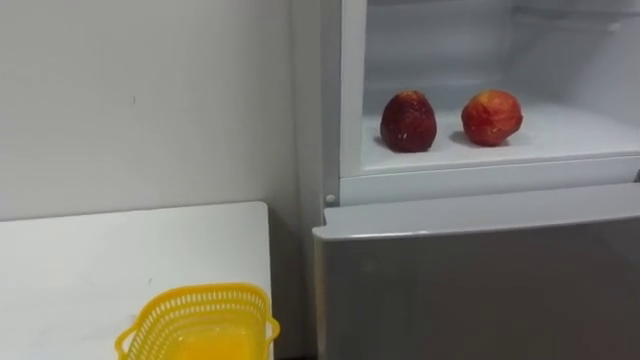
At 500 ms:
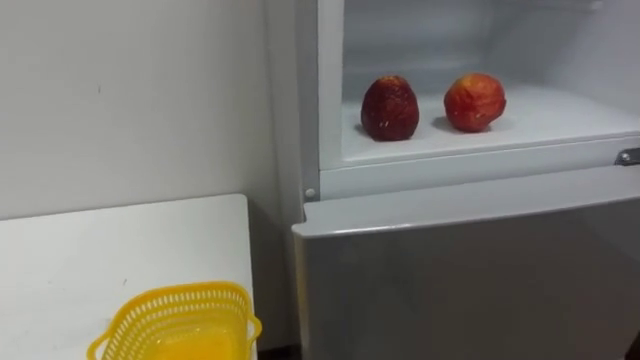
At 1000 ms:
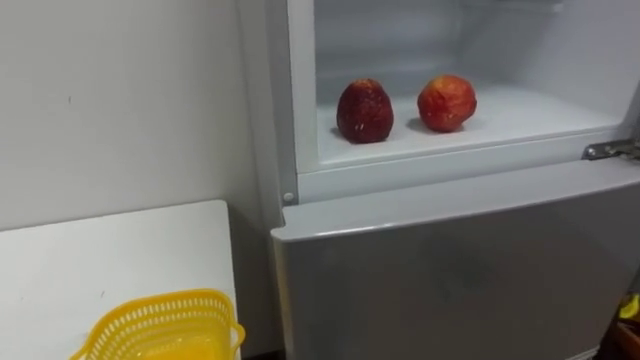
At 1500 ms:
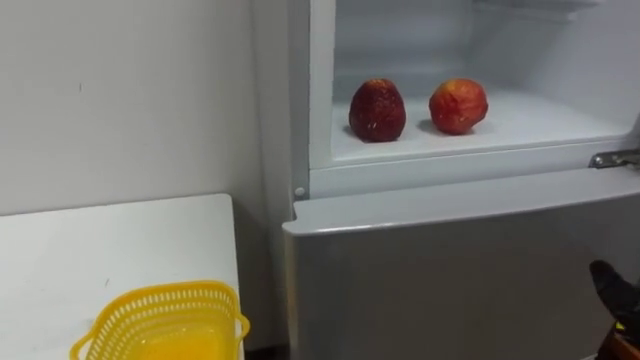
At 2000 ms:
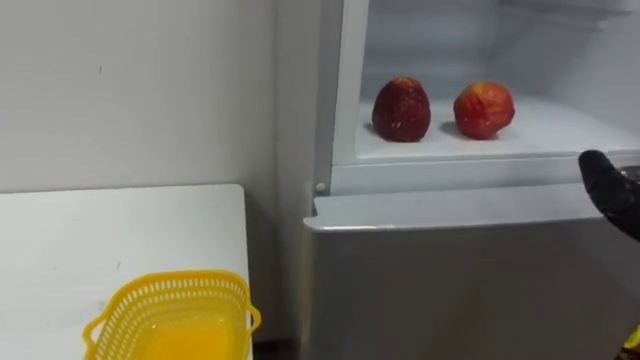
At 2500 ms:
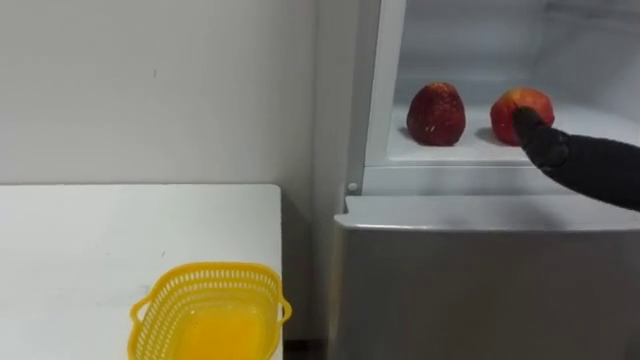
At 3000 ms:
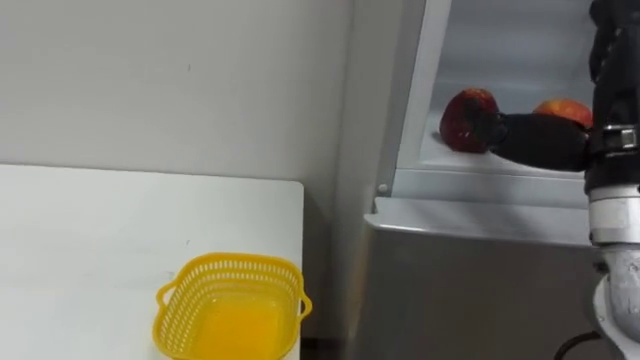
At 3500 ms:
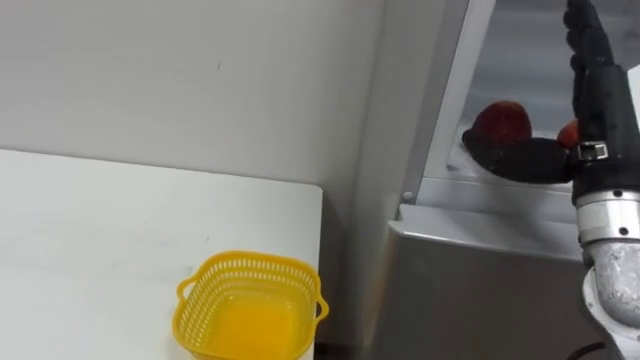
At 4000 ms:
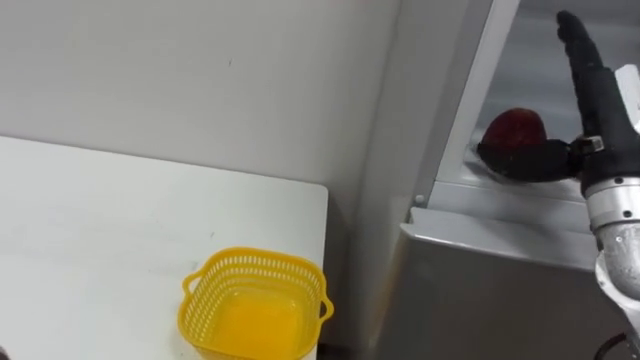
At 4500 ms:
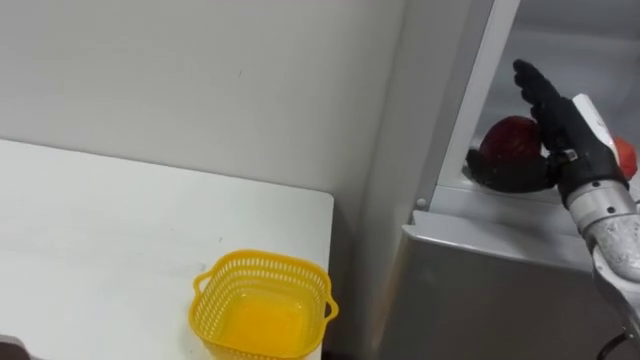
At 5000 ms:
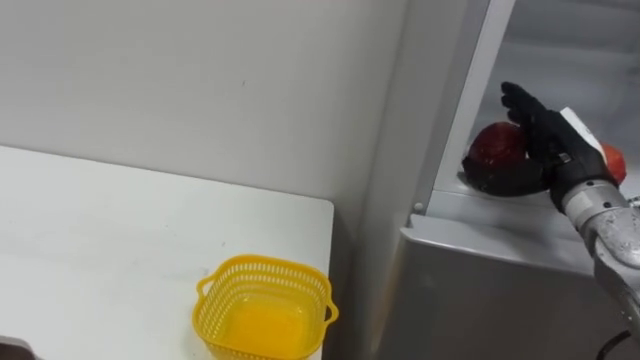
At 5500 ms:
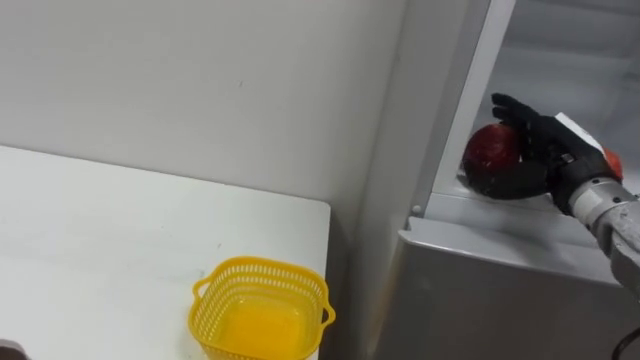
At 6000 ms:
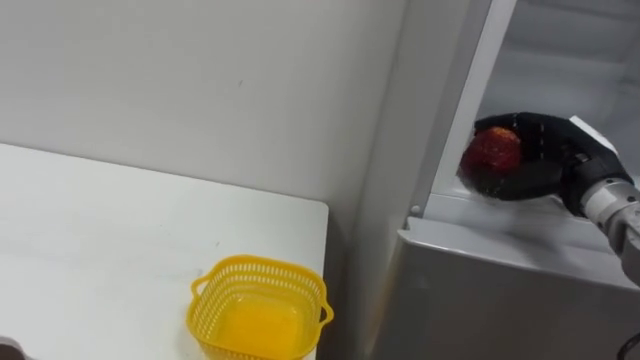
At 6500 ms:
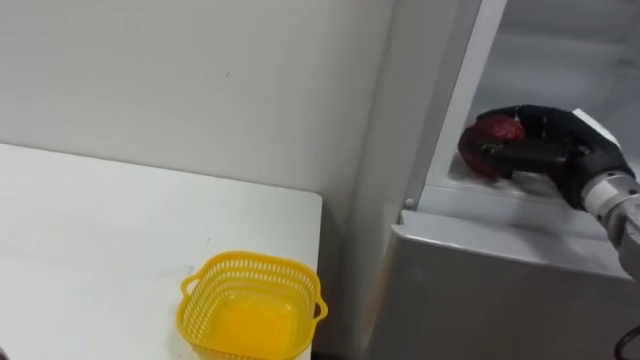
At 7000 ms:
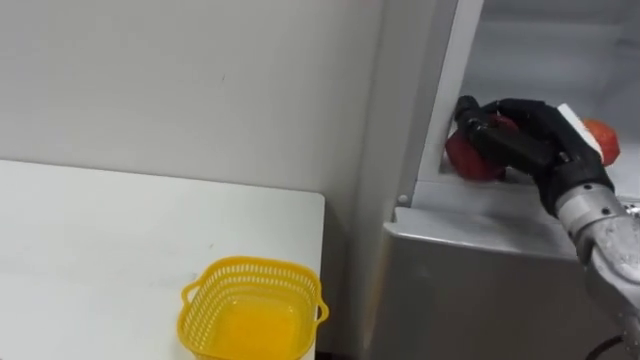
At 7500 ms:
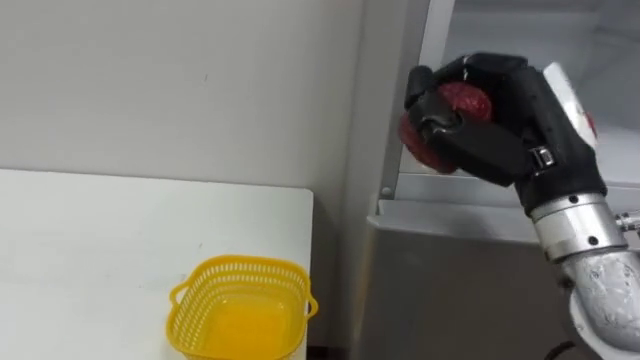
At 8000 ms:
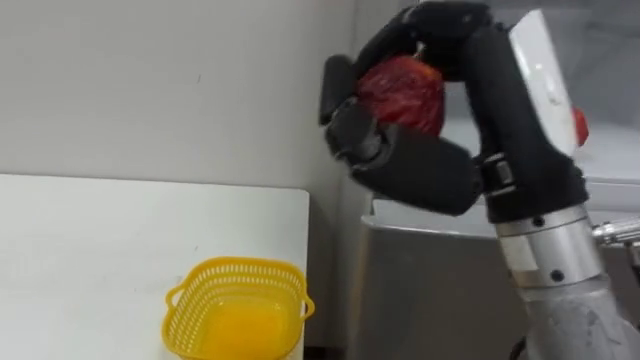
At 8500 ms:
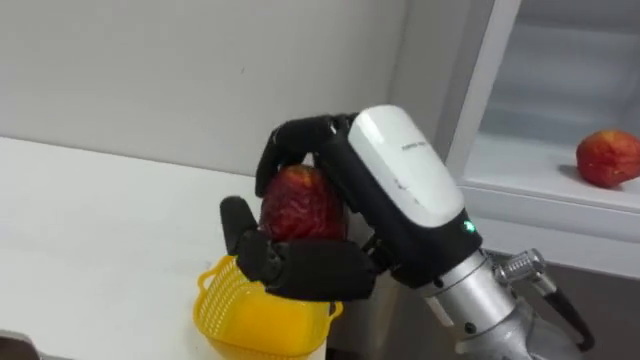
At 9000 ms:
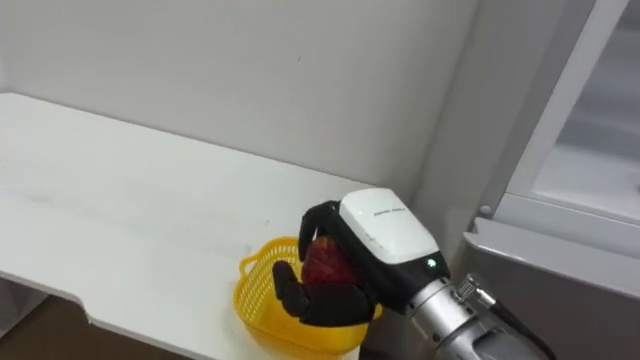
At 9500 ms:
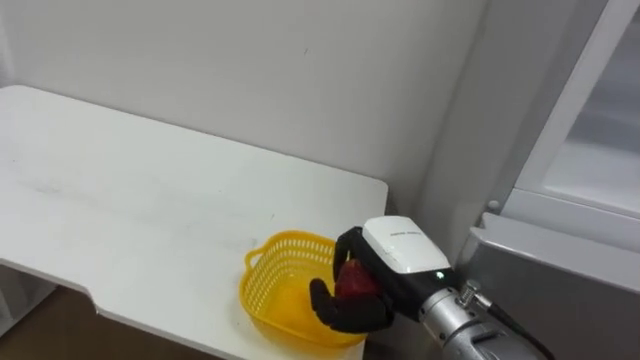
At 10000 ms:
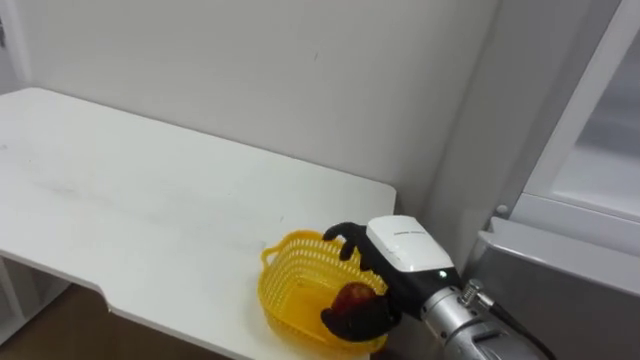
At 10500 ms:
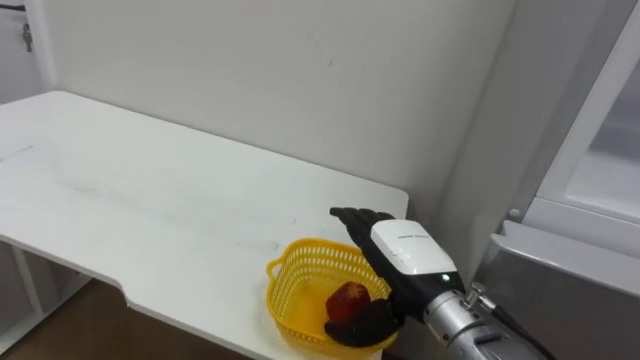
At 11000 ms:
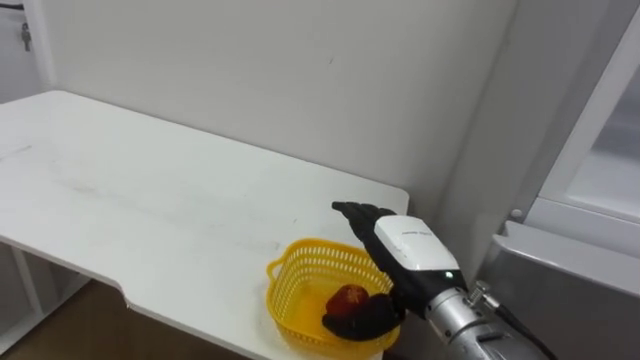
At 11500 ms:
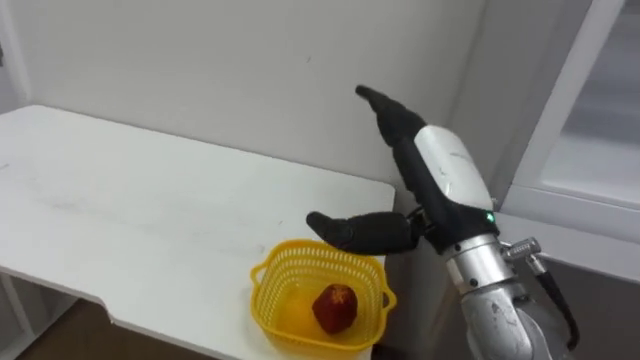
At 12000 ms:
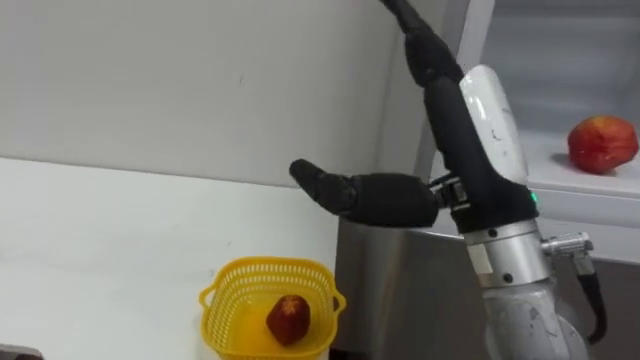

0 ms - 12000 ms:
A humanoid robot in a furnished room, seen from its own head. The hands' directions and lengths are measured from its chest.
Task of the whole recording: Open the refrigerator door, take out the apple and the pomegranate, place them in the fruit basket on the left, and close the refrigerator door.
4000 ms - 6000 ms: The right hand moves downward and forward, some 10 cm, and closes its fingers.
6000 ms - 8000 ms: The right hand moves backward, to the left and upward, some 25 cm, and closes.
8000 ms - 10000 ms: The right hand moves downward and forward, about 20 cm.
10000 ms - 12000 ms: The right hand moves upward, roughly 15 cm, and opens up.

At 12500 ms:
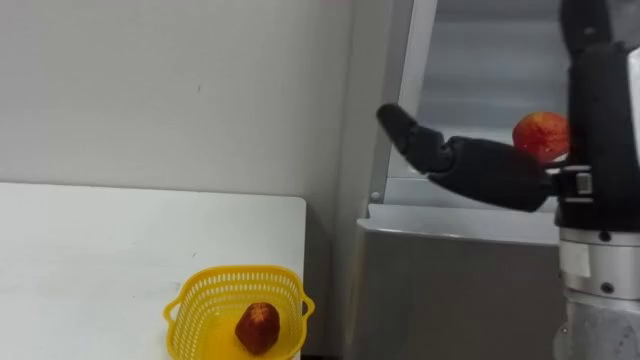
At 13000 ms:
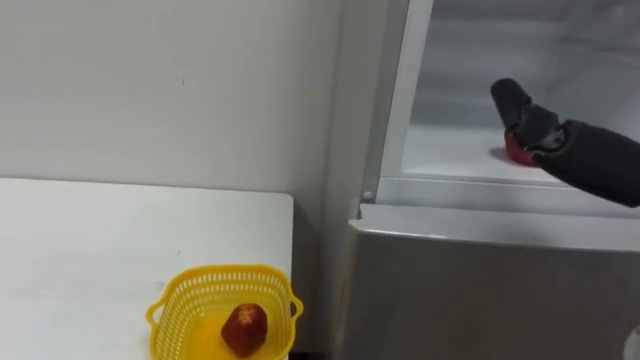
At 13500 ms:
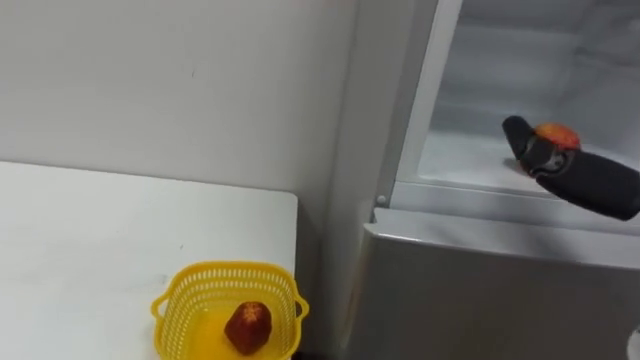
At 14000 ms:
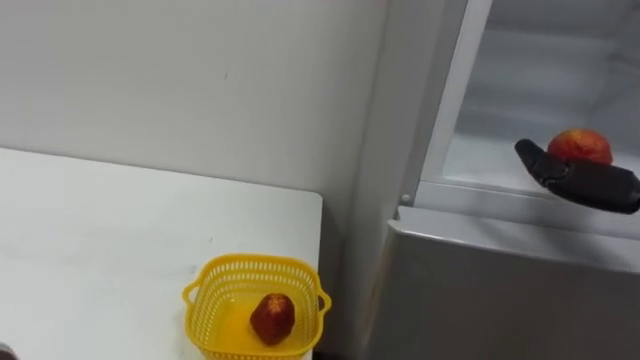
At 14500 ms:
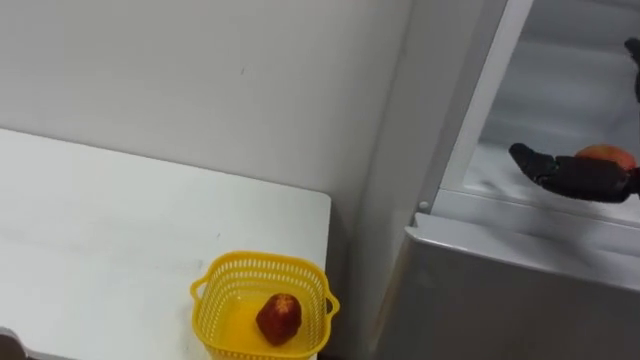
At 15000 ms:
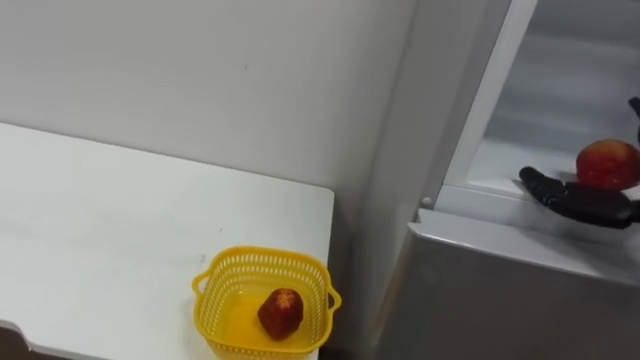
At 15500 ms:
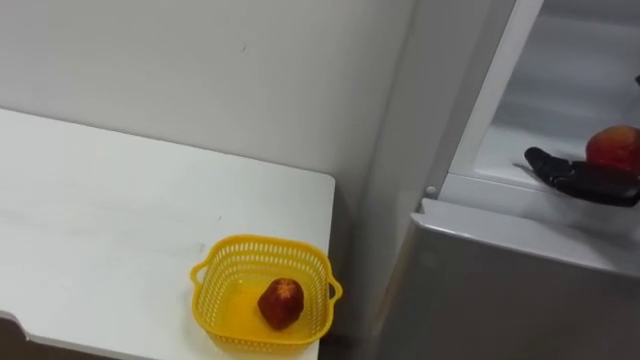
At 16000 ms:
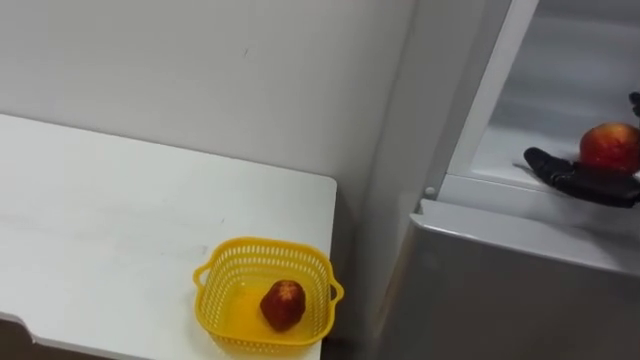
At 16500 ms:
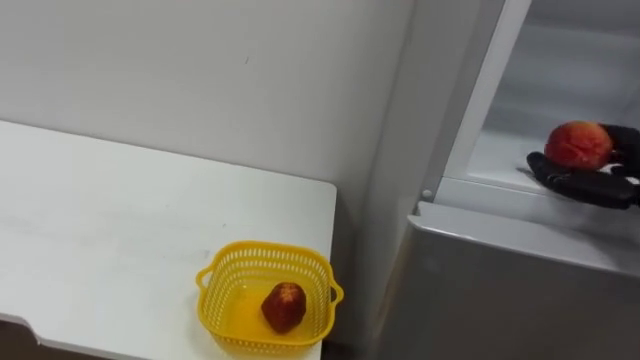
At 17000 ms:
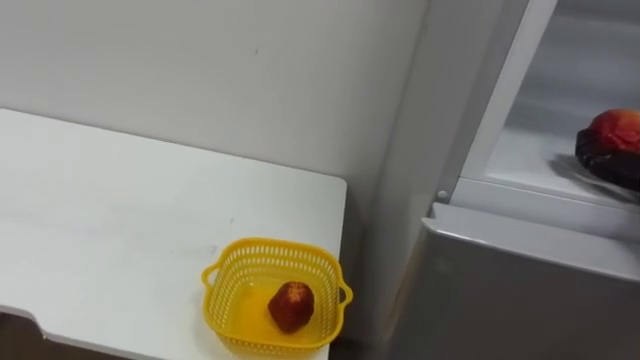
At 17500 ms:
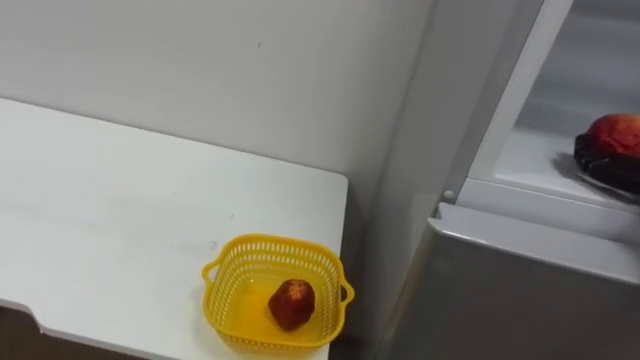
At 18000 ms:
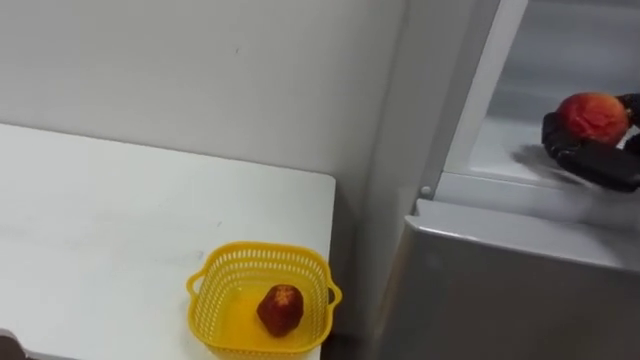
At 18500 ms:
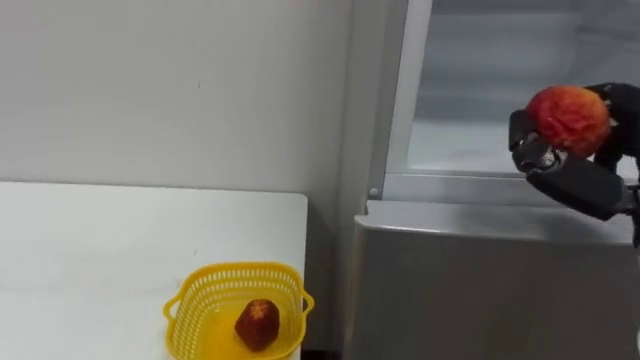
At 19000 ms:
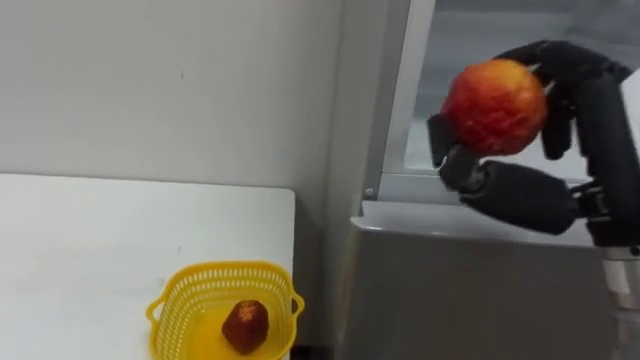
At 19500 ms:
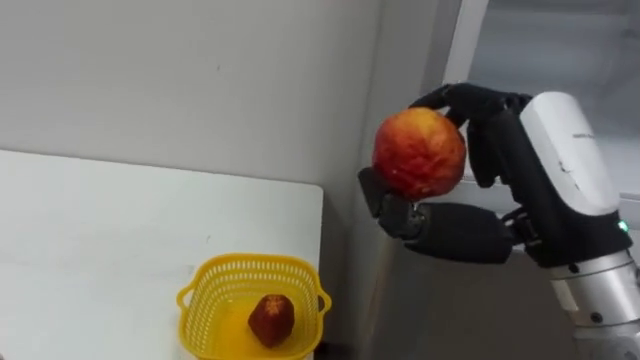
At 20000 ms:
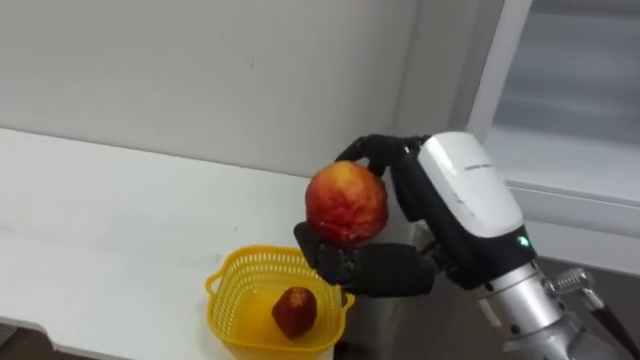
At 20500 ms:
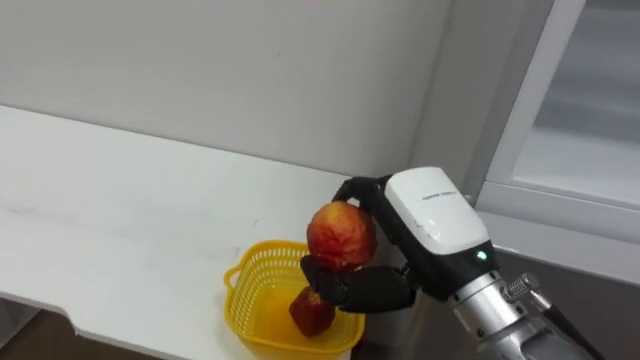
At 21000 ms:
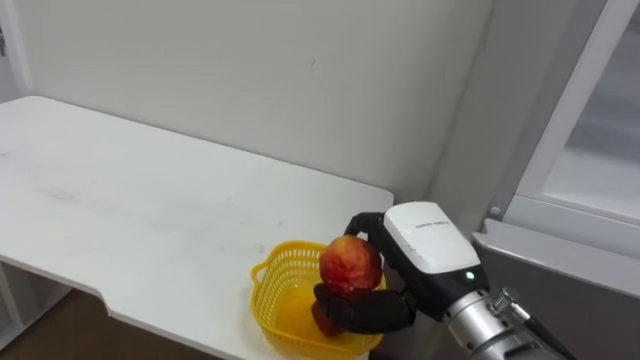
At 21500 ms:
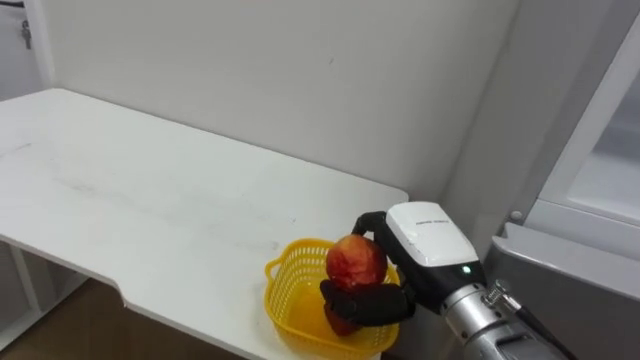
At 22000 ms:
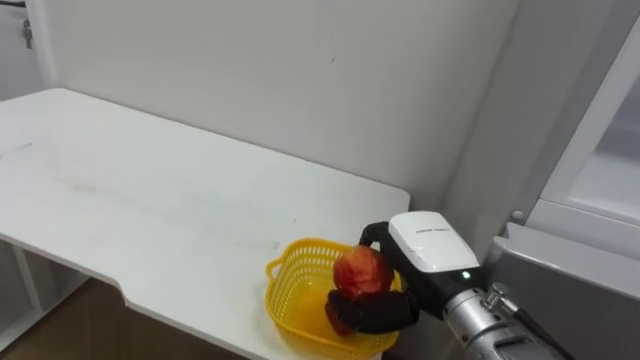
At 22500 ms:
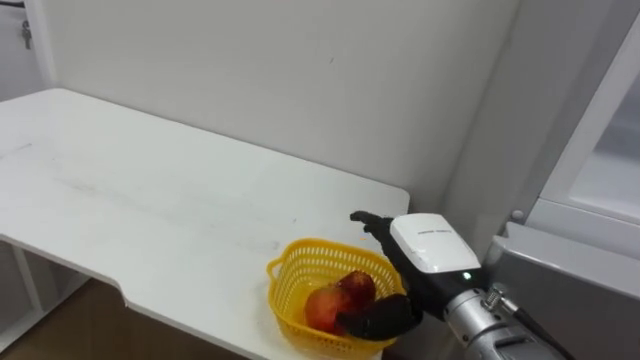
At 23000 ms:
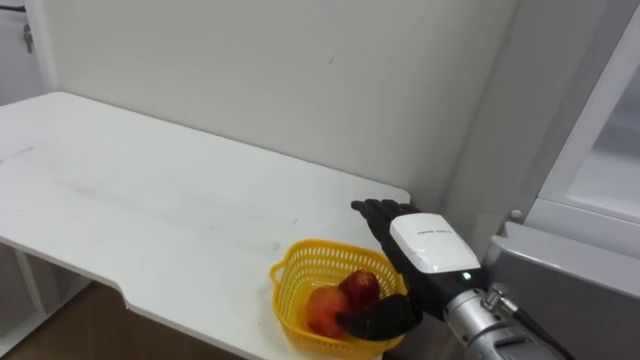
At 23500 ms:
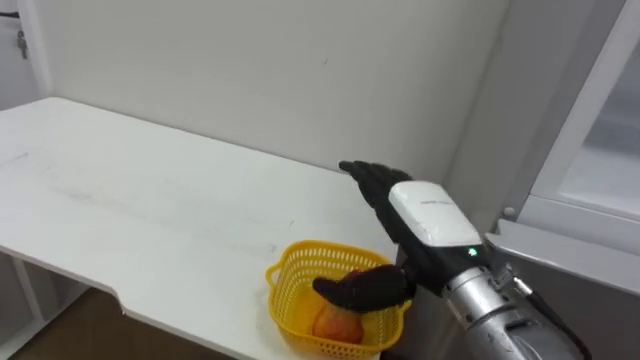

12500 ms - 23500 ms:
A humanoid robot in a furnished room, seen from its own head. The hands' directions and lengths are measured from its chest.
Task of the whole recording: Open the refrigerator door, take out the apple and the pomegranate, place them in the fruit basket on the left, and close the refrigerator door.
20000 ms - 21500 ms: The right hand is displaced downward and forward by about 10 cm.
21500 ms - 23500 ms: The right hand opens its fingers.
